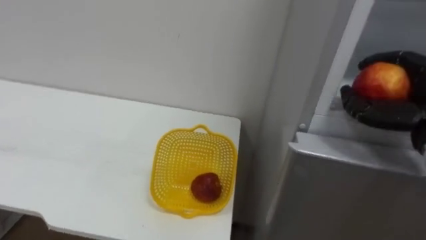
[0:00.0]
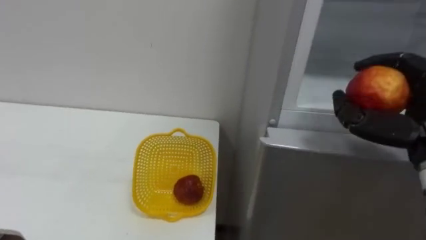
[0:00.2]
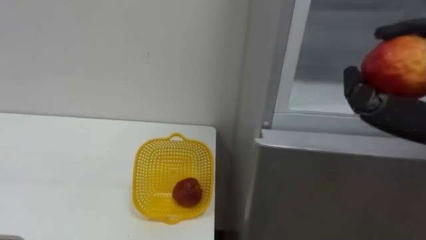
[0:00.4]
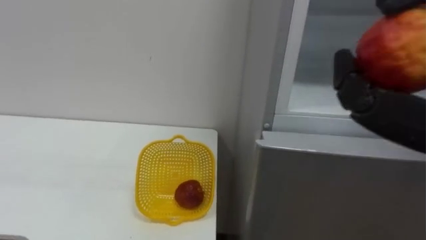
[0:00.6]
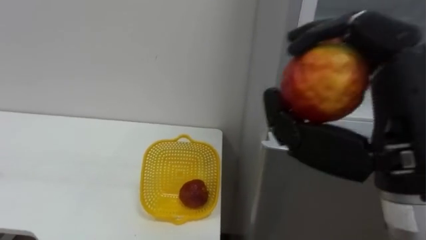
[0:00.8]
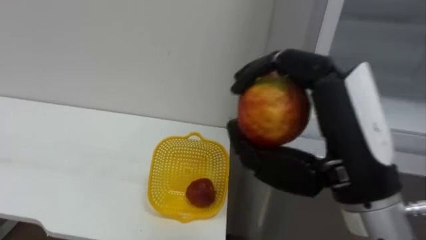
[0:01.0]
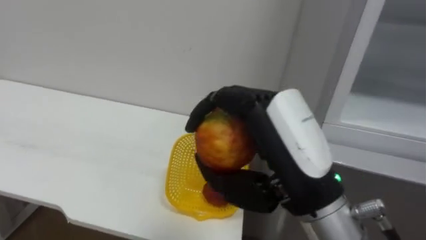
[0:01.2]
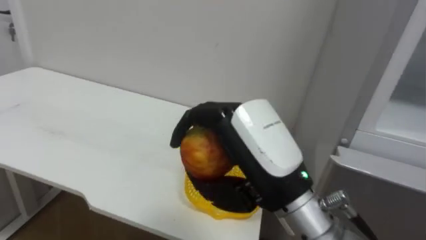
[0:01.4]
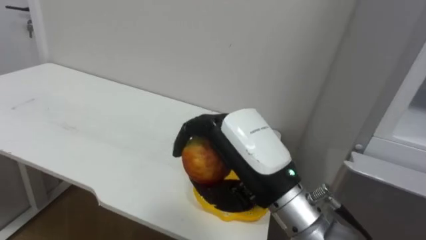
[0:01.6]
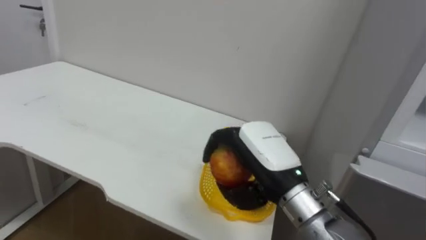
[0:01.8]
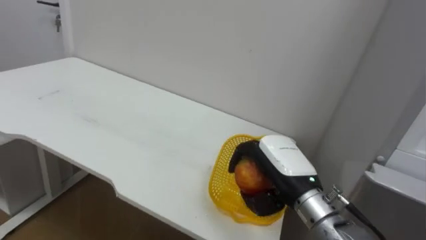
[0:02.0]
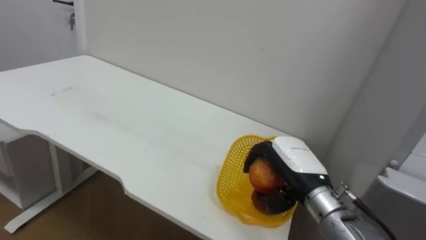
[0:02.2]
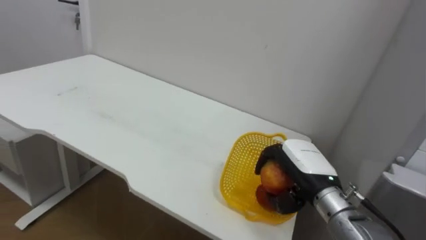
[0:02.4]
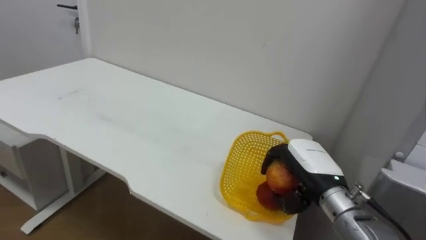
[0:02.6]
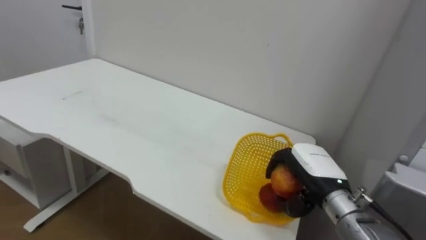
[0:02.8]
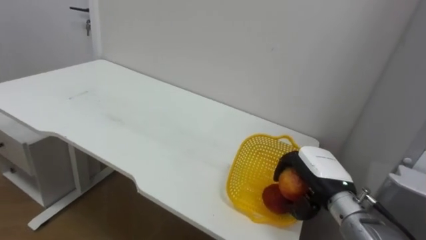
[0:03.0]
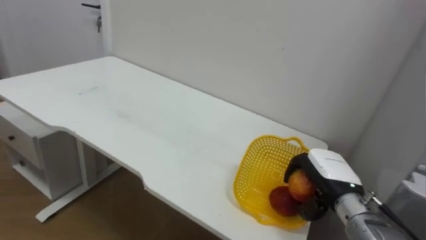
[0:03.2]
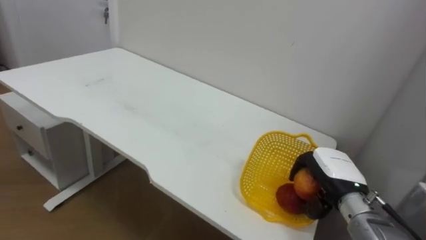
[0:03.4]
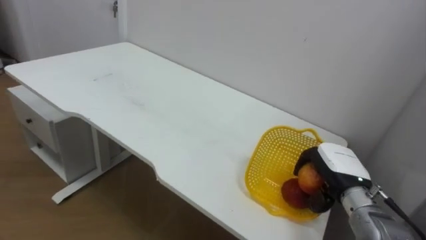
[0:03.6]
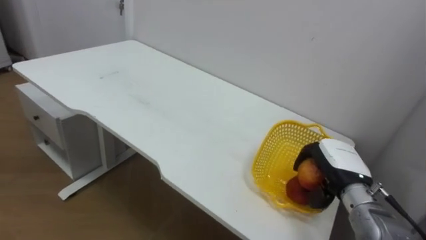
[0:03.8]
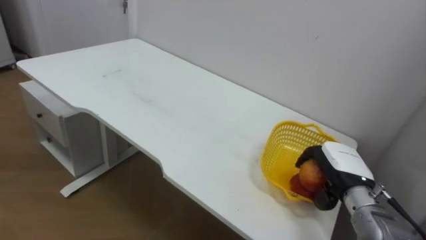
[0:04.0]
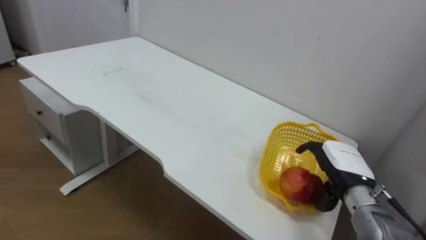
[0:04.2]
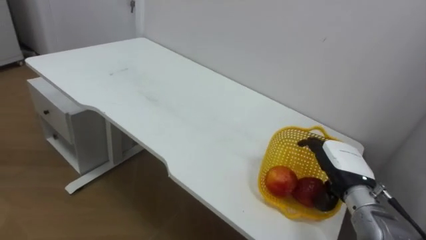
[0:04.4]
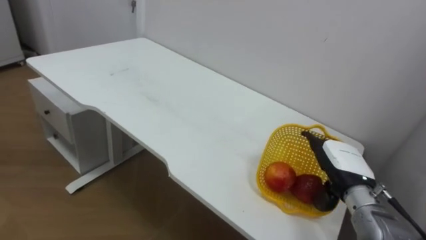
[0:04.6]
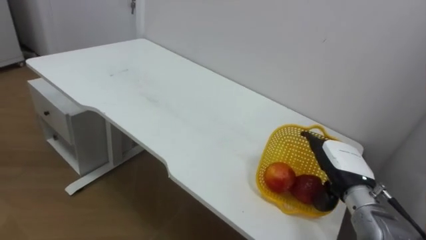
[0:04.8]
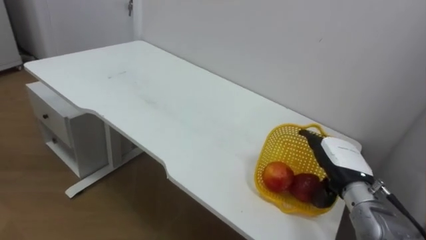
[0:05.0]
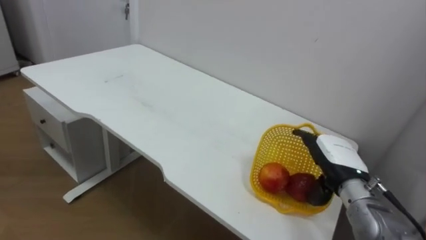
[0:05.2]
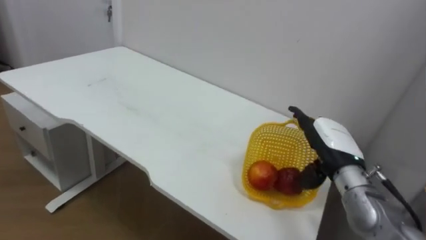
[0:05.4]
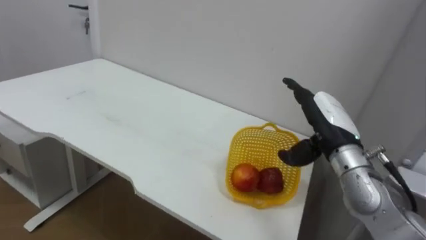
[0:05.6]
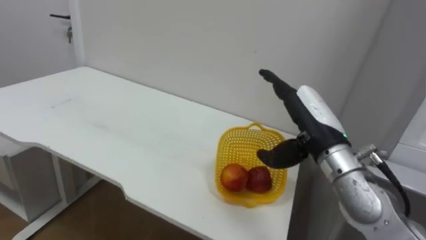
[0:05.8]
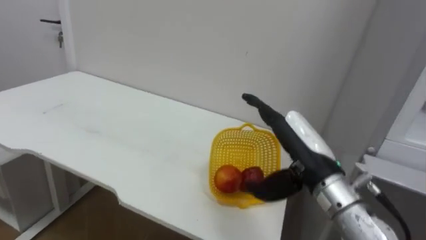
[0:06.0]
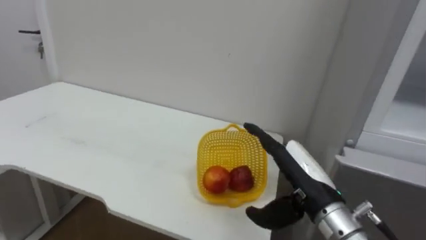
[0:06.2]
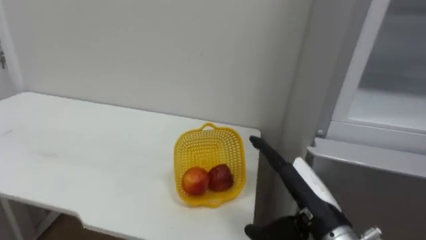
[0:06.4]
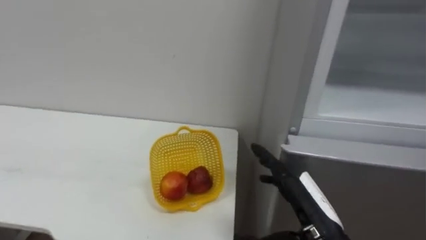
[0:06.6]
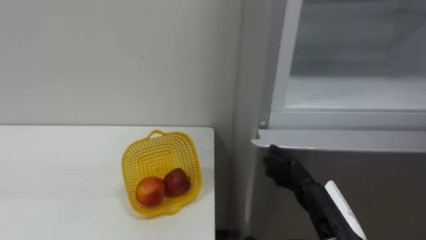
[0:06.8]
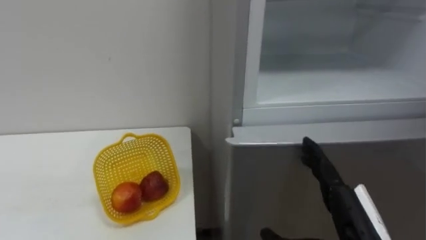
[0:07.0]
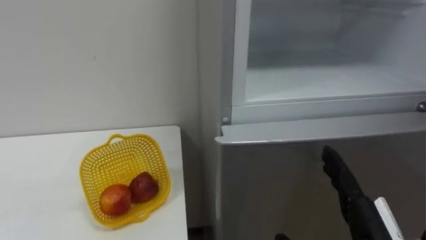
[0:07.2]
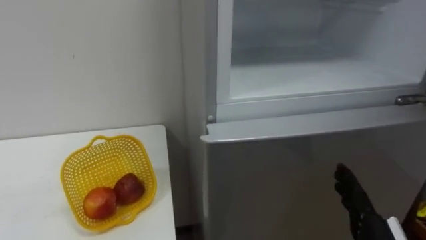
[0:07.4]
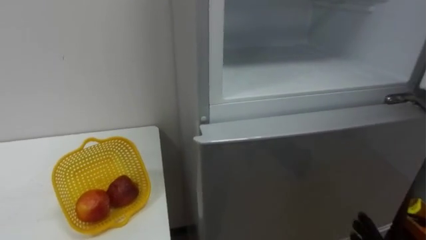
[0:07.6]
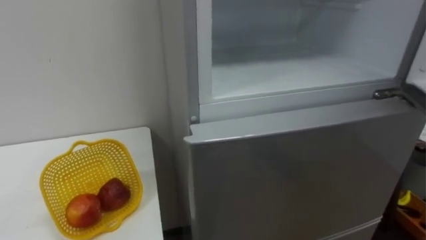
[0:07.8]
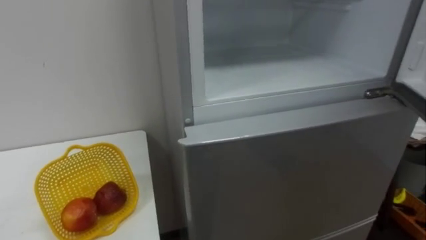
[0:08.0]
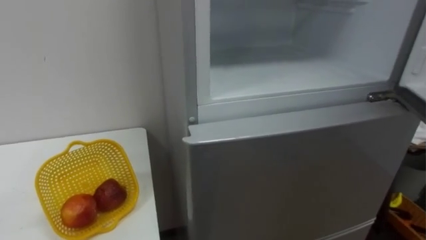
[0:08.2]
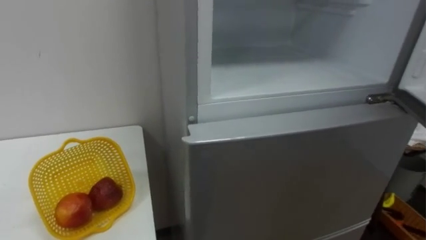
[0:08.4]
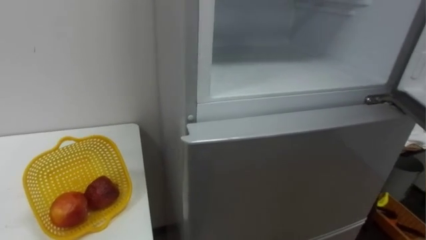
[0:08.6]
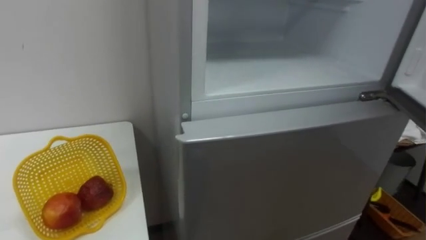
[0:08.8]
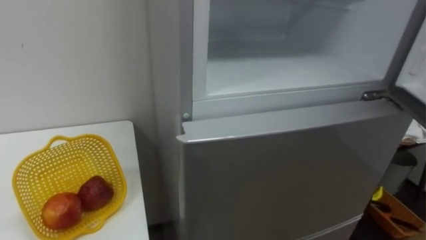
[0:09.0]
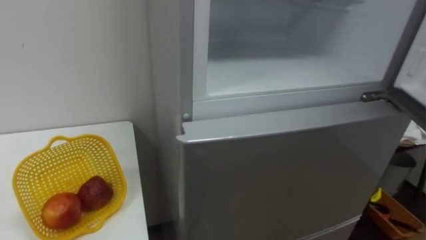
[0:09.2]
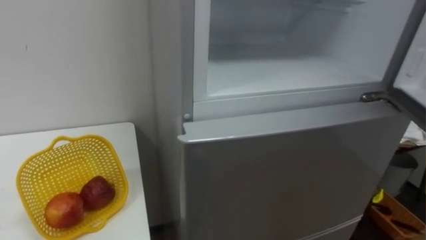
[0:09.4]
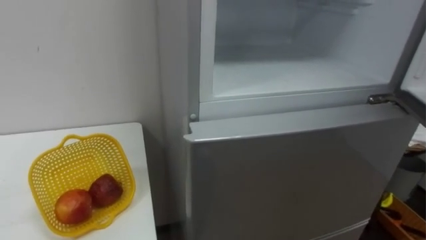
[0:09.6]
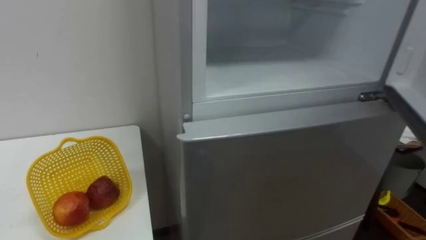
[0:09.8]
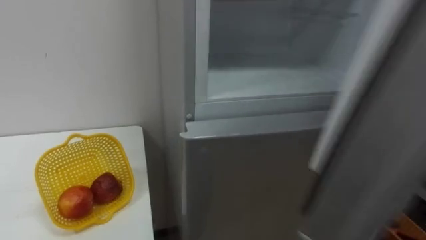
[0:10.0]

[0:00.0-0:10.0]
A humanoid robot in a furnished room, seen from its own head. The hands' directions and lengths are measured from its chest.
Task of the whole recording: Open the refrigerator door, take out the apple and the pomegranate, place them in the fruit basket on the left, and close the refrigerator door.
0:01.4 to 0:02.8: The right hand travels downward, forward and to the right by about 20 cm.
0:02.8 to 0:04.2: The right hand heads to the right, covering some 5 cm, and opens.
0:04.2 to 0:05.8: The right hand travels upward and to the left by some 15 cm.
0:05.8 to 0:07.2: The right hand heads backward and downward, covering some 15 cm.

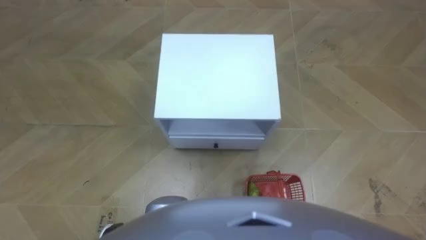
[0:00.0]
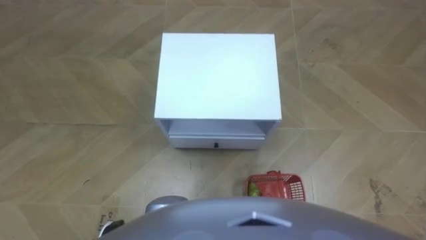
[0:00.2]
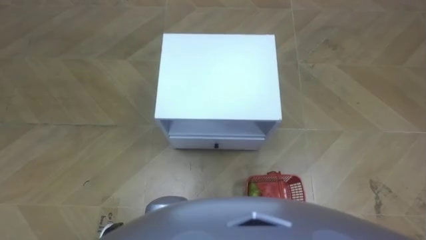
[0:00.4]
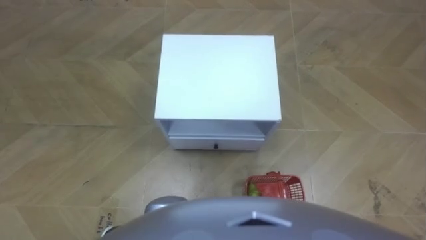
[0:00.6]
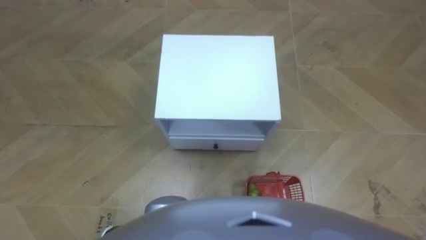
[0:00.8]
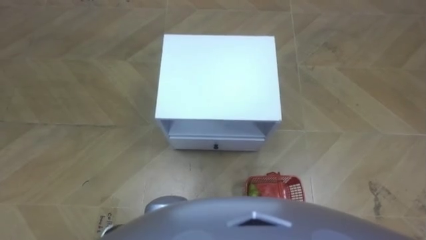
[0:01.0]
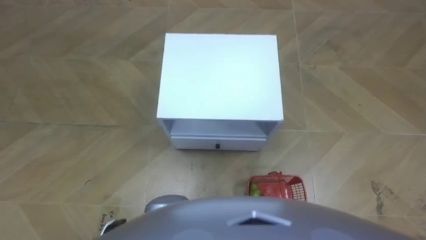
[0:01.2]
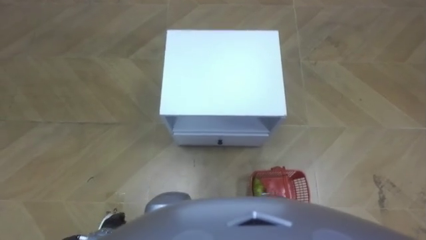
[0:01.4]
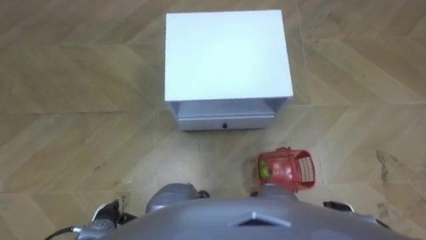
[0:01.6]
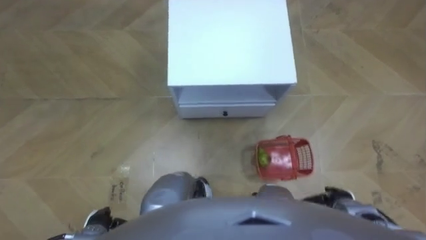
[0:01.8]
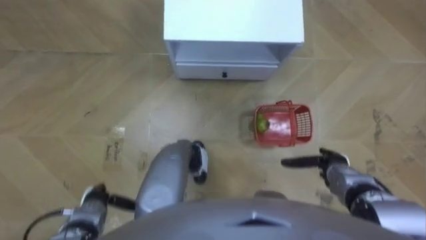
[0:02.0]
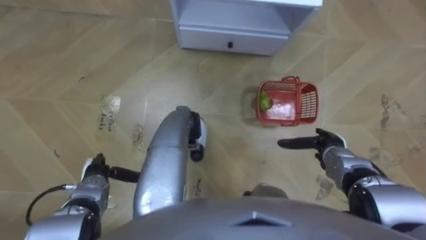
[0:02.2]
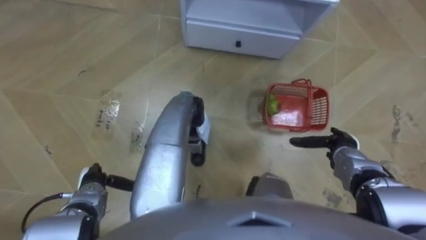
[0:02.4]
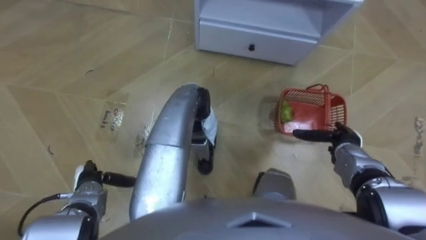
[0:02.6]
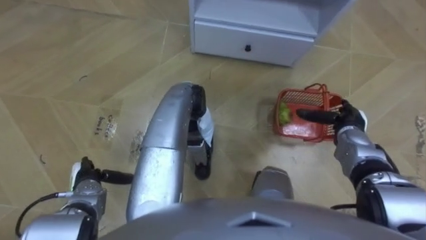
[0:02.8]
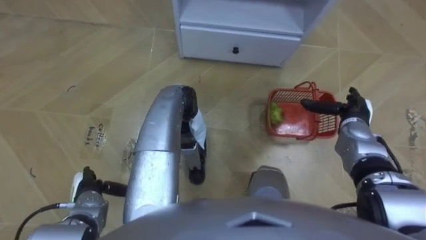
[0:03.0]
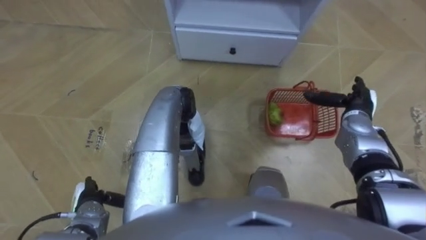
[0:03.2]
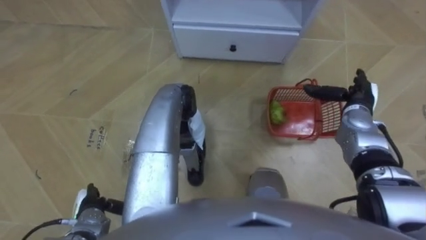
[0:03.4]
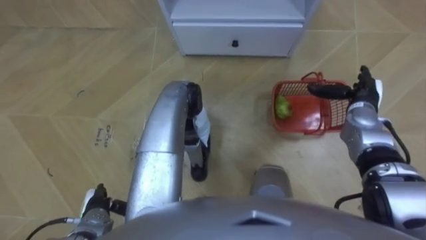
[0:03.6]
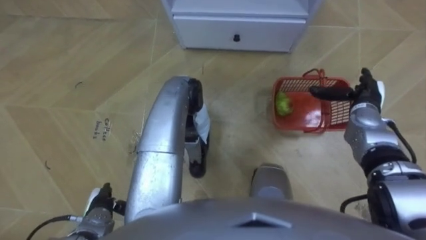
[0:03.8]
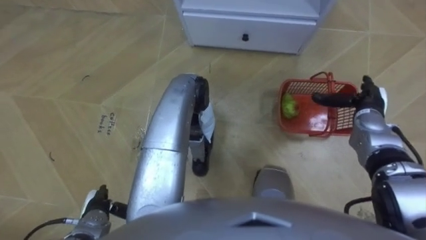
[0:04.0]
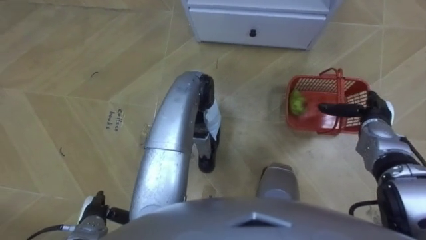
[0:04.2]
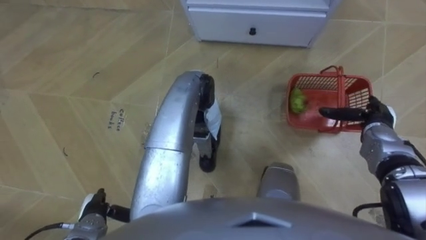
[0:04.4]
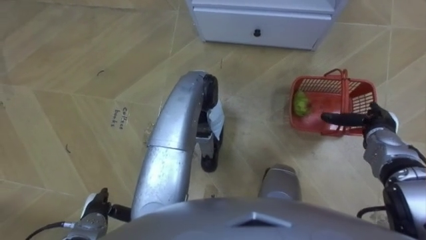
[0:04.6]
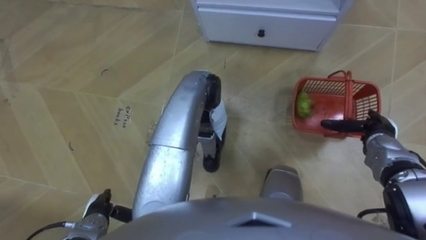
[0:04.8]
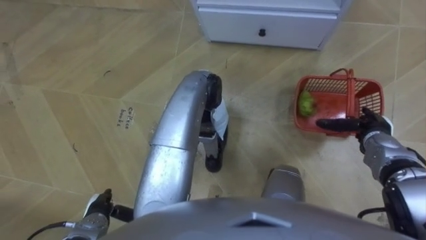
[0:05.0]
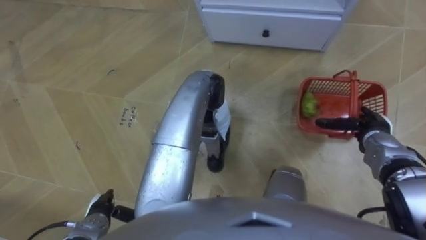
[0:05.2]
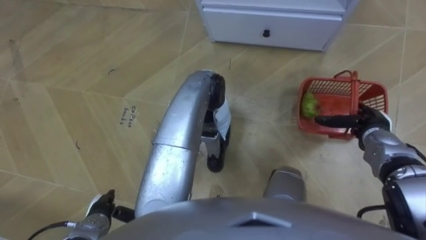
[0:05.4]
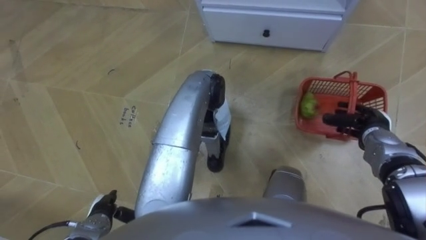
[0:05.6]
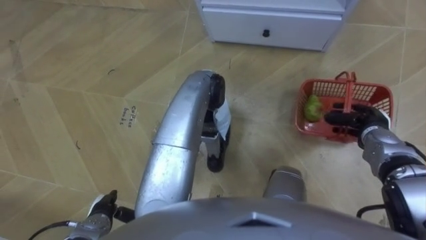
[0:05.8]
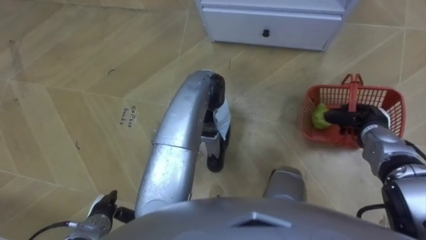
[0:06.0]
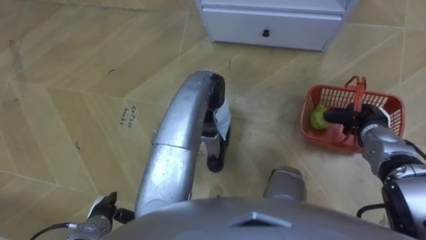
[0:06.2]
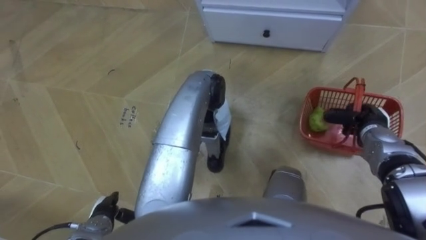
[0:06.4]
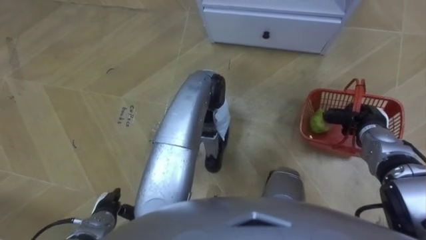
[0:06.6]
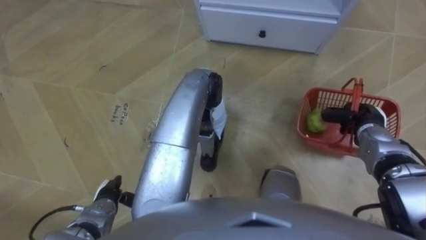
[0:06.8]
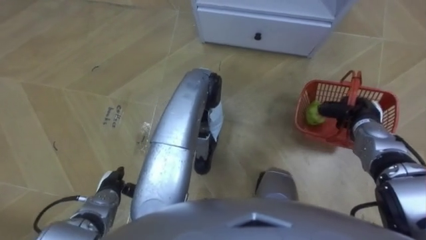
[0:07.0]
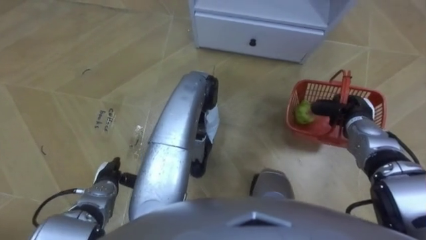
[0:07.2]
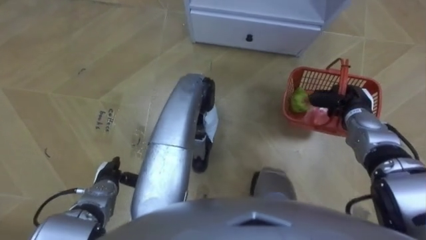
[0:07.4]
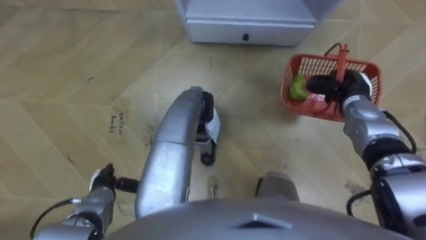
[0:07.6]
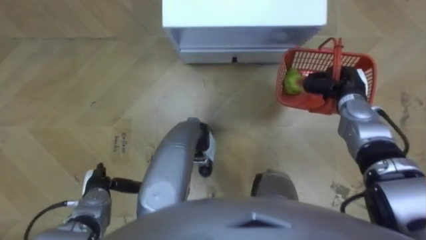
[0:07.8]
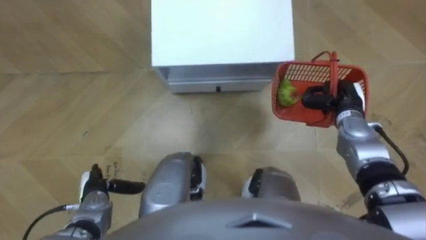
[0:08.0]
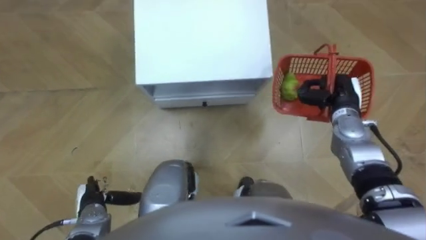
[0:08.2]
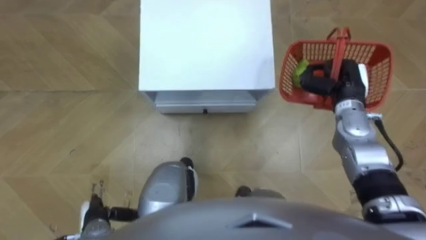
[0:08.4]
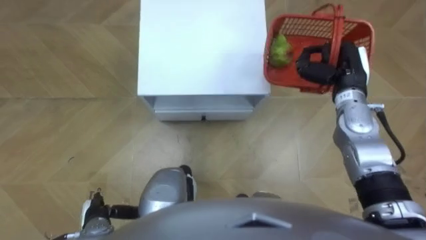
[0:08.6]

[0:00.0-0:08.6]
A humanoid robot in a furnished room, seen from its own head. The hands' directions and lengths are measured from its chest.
Task of the whole recording: Pick up the fruit basket from the floor and place it on the cabinet.
0:01.4 to 0:02.8: The right hand is displaced forward by approximately 25 cm, while the left hand is displaced forward and to the left by some 15 cm.
0:02.8 to 0:04.4: The right hand changes place by about 5 cm, while the left hand heads backward, covering some 10 cm.
0:04.4 to 0:05.8: The right hand closes its fingers.
0:05.8 to 0:07.2: The left hand travels forward by roughly 10 cm.
0:07.2 to 0:08.6: The left hand goes roughly 10 cm backward, while the right hand travels upward and to the left by some 10 cm.
